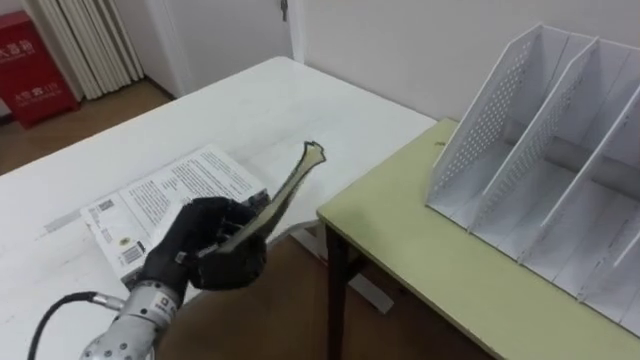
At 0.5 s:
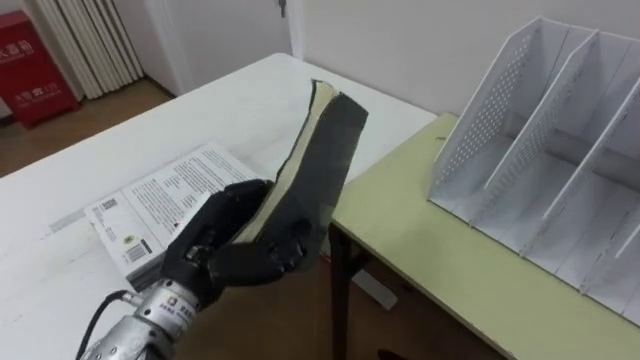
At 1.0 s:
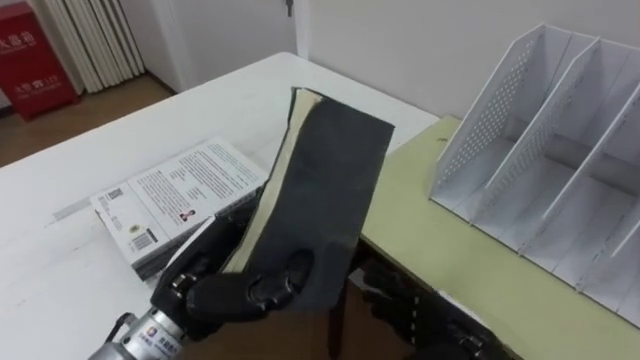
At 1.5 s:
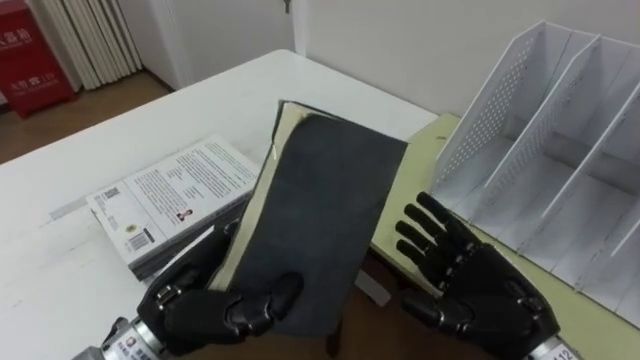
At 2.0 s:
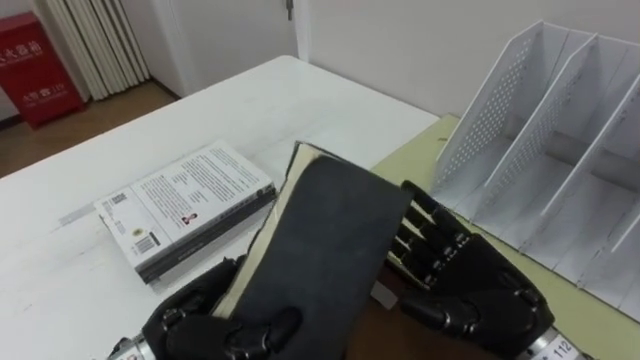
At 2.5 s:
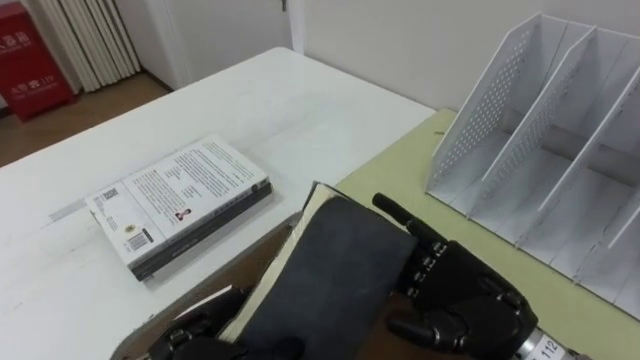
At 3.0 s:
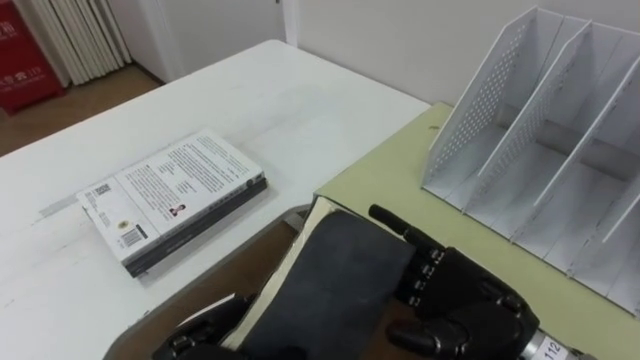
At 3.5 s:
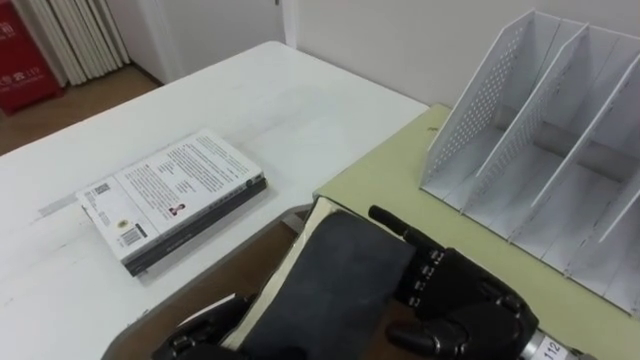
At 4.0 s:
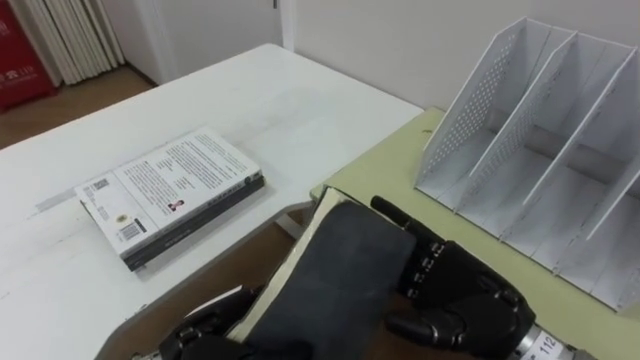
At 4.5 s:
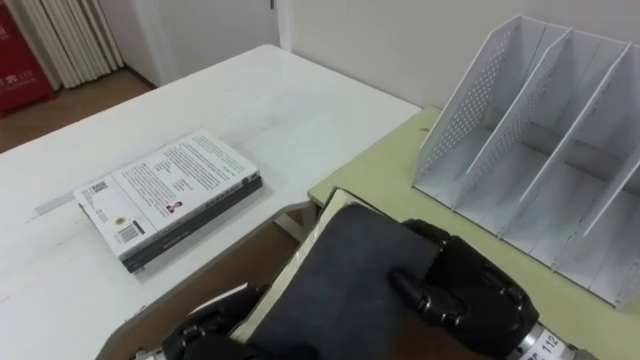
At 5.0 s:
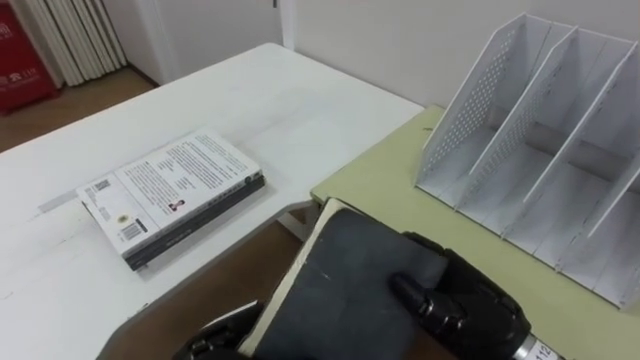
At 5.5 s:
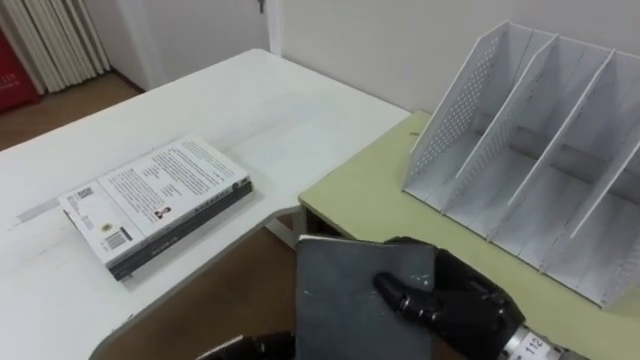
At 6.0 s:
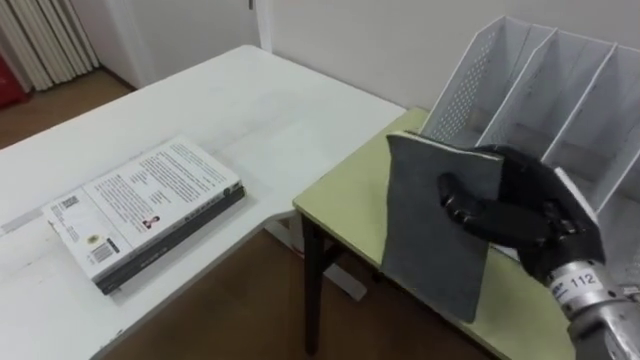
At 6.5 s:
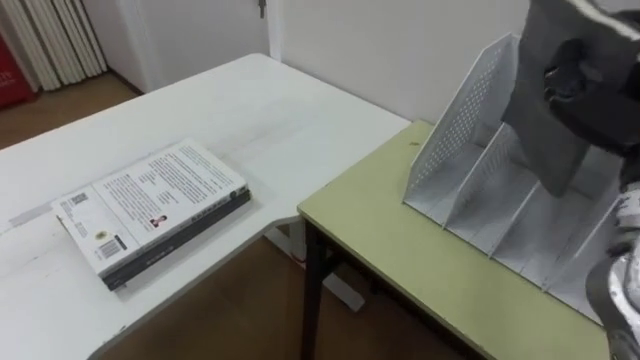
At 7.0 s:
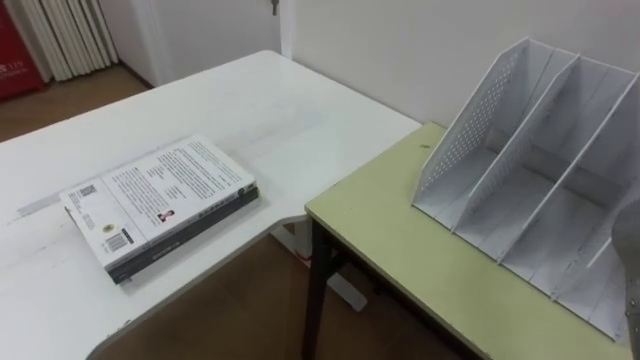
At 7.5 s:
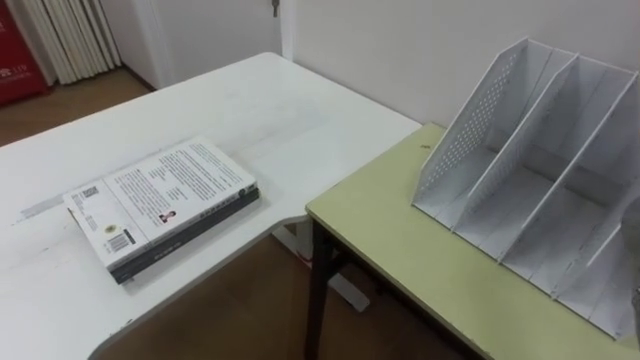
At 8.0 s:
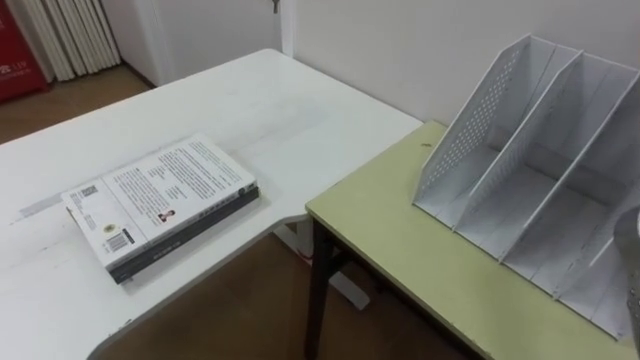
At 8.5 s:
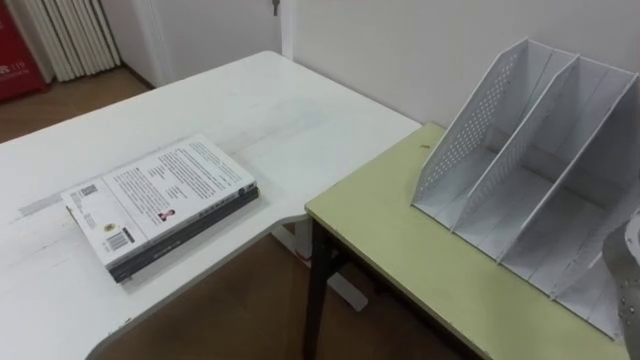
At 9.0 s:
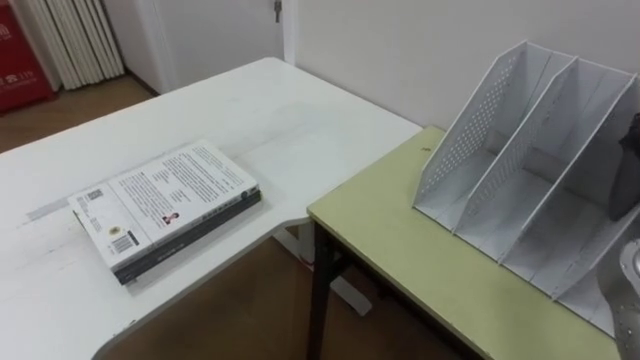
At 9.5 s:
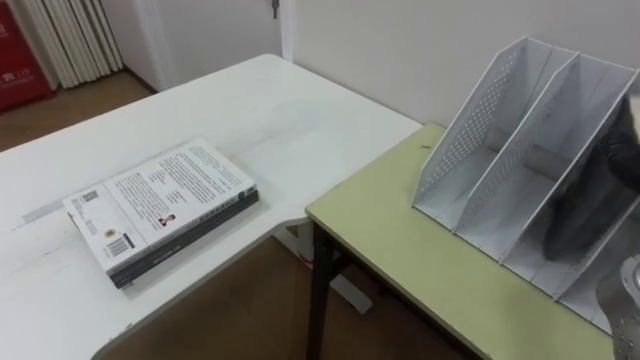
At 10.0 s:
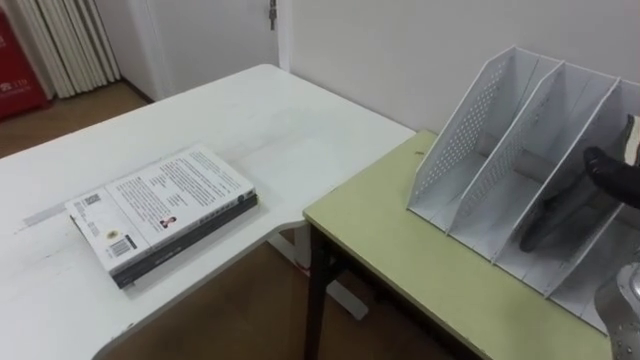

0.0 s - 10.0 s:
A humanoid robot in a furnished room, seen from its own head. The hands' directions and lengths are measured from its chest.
Task of the whole recording: Put the books on the table onto the bookshelf.
0.0 s - 2.0 s: The left hand travels backward and to the right by roughly 10 cm.
4.0 s - 6.0 s: The right hand moves to the right and upward, some 10 cm, and closes up.

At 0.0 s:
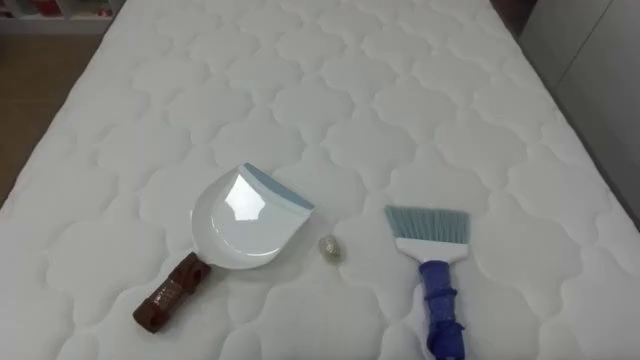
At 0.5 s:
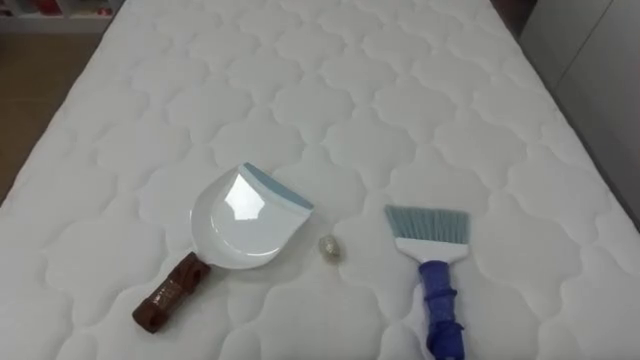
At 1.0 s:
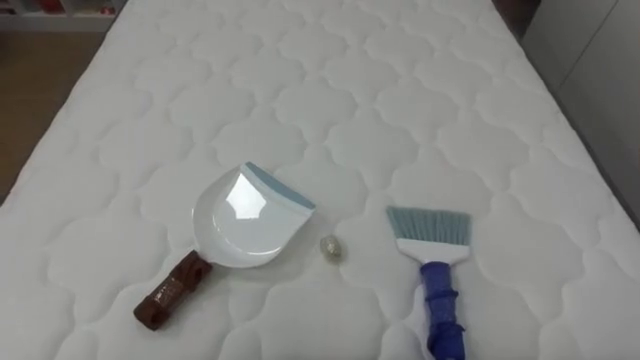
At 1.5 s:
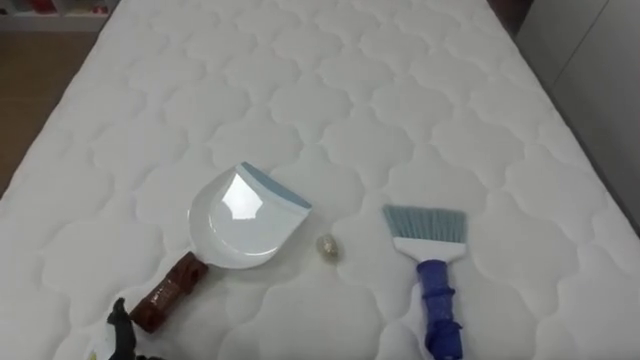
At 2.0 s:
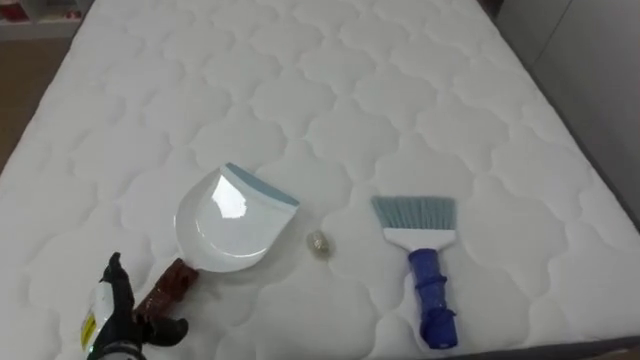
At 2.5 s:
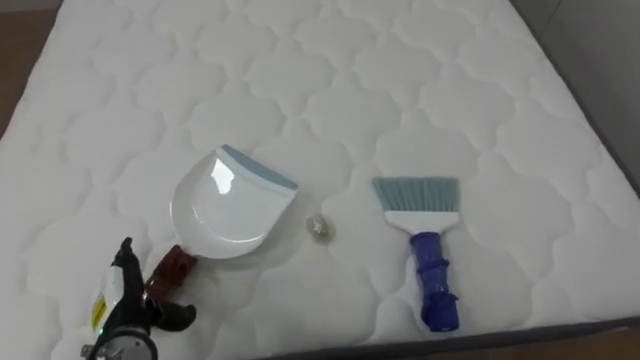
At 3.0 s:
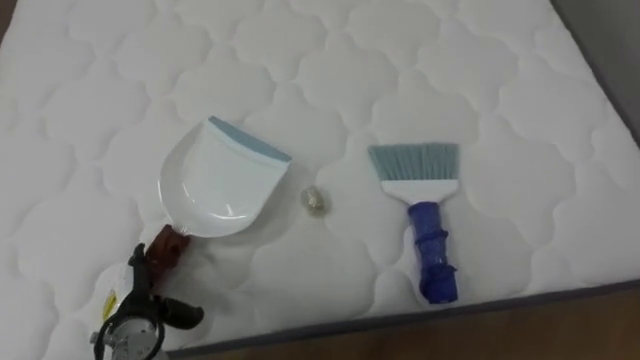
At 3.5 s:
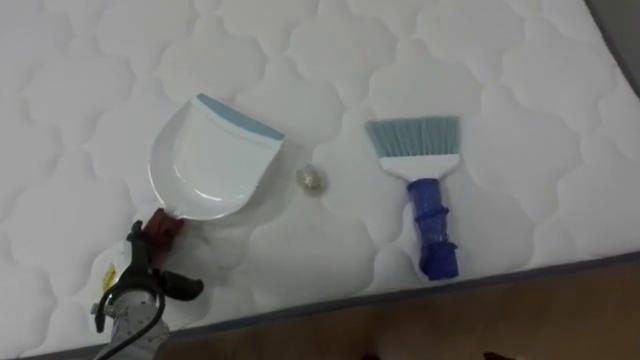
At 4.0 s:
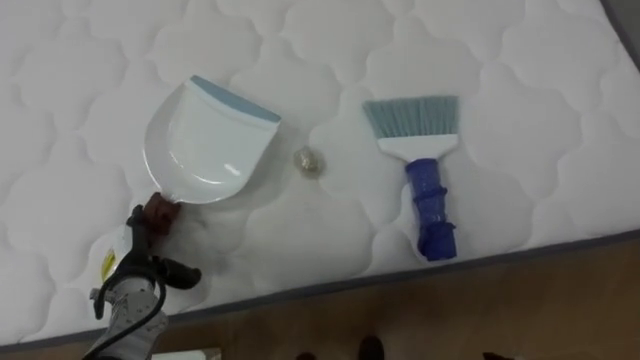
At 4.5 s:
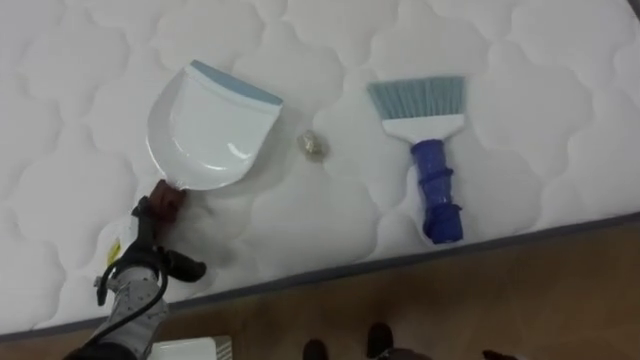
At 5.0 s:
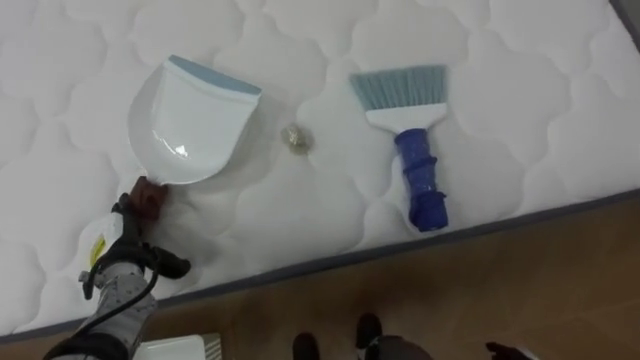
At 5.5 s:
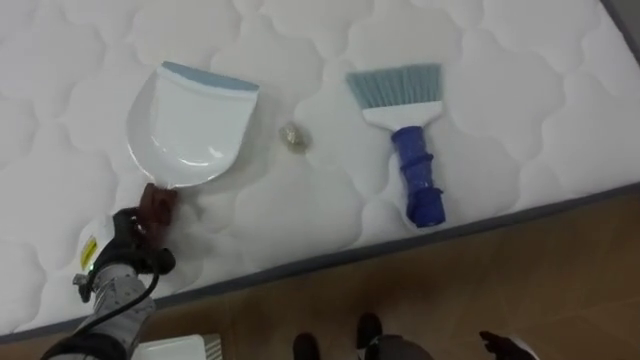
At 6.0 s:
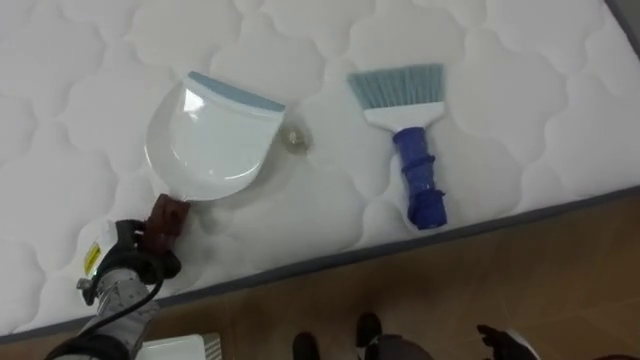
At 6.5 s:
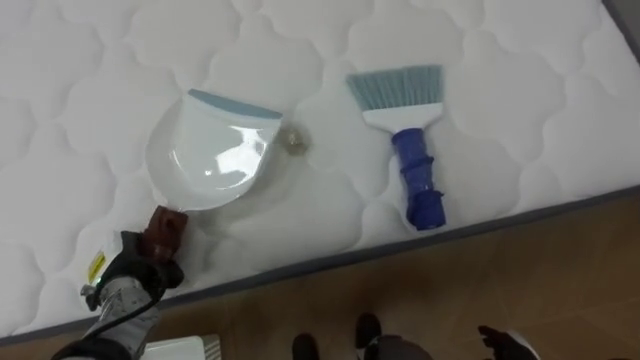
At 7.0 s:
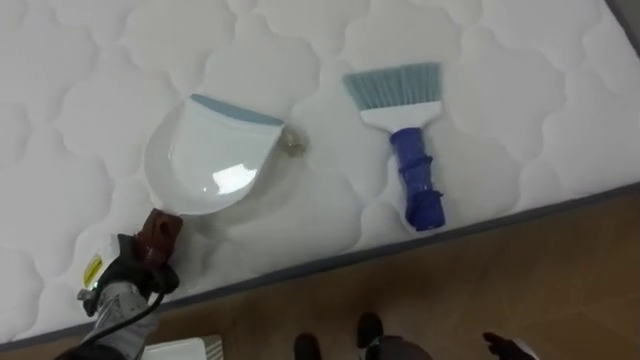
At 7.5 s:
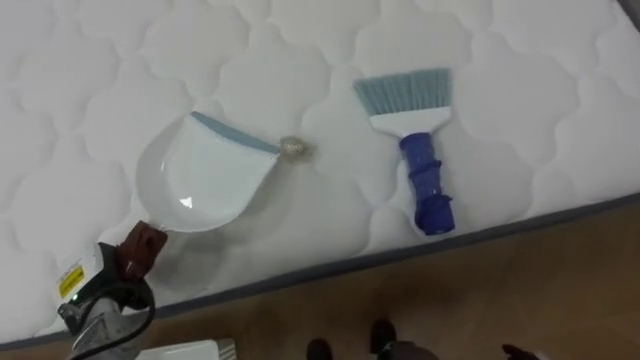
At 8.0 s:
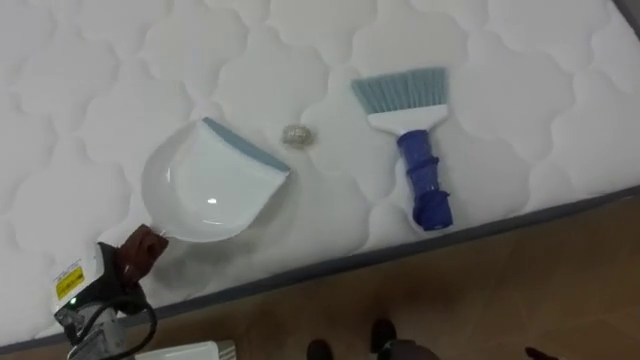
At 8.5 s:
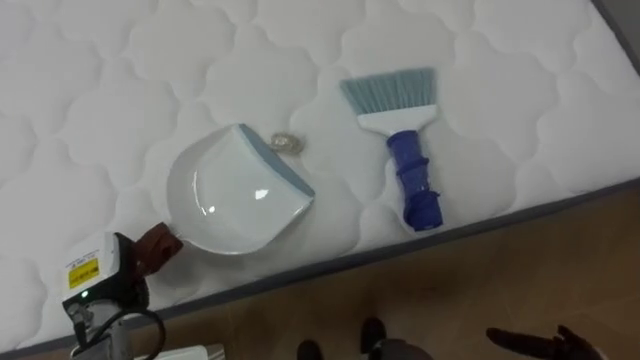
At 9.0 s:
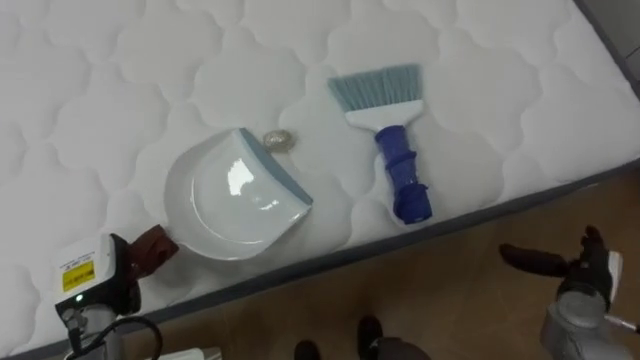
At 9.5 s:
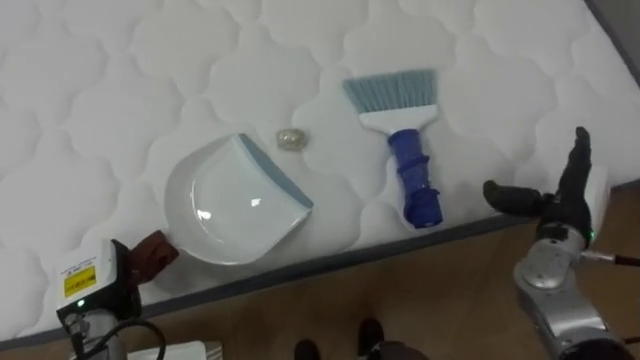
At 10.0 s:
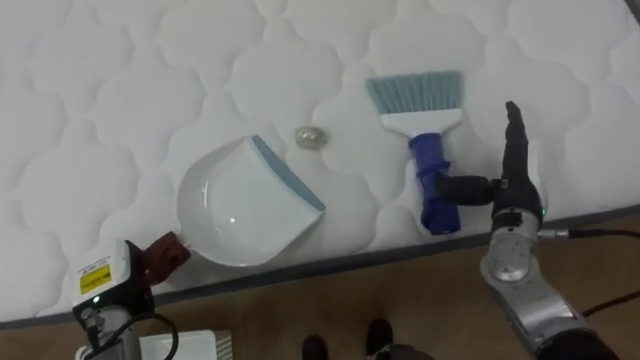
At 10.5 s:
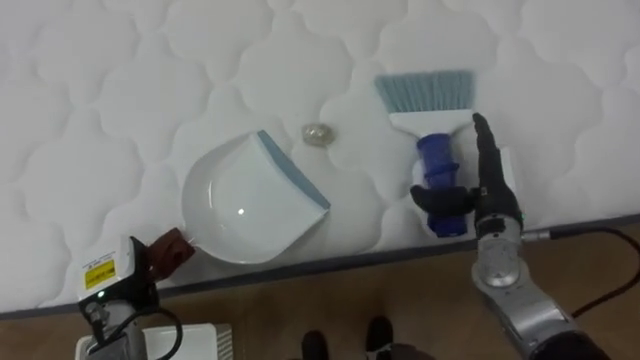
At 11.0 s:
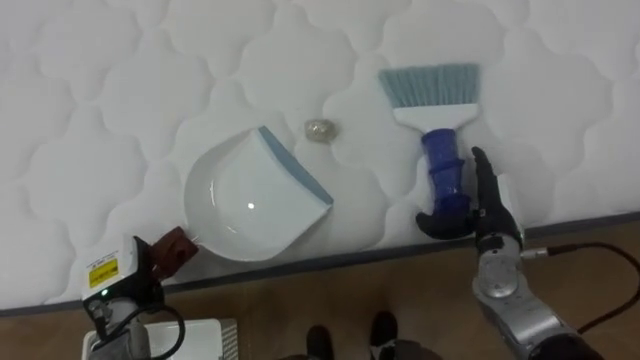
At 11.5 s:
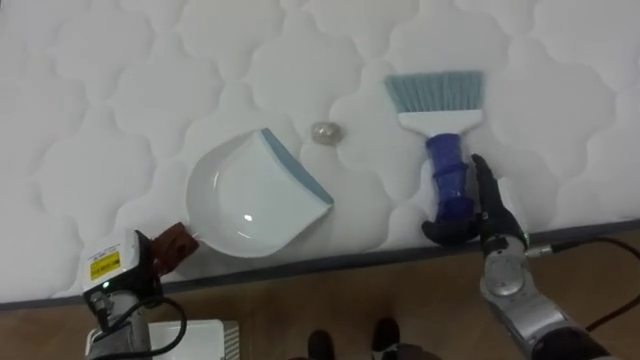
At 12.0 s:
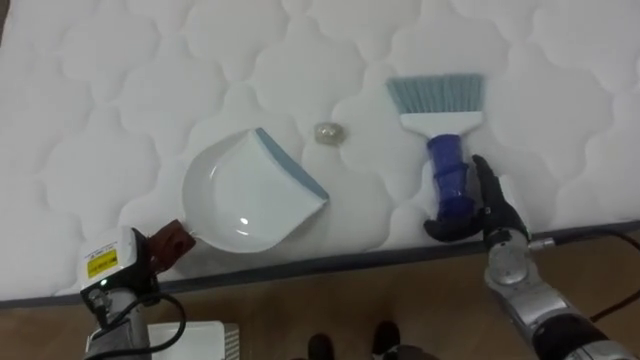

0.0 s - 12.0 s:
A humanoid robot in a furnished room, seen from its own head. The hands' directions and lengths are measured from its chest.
Task of the whole recording: Pick up the brush on your right and the dustpan on your left. Use the brush to sweep the crumpled paper on the bed into the dustpan, then turn left and empty it into the basket.
2.0 s - 4.0 s: The left hand heads forward, covering approximately 10 cm.
4.0 s - 6.0 s: The left hand closes.
10.0 s - 12.0 s: The right hand travels downward by about 5 cm.
